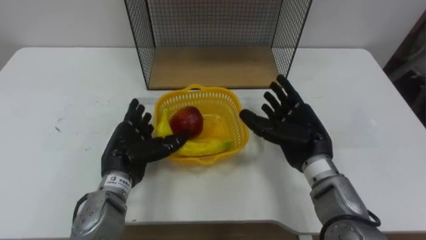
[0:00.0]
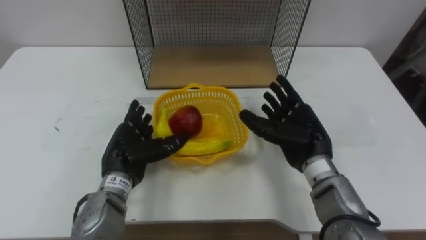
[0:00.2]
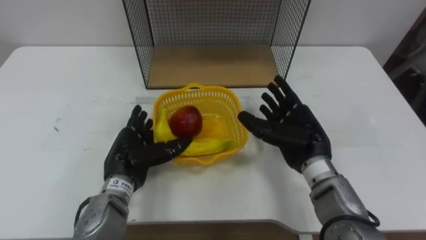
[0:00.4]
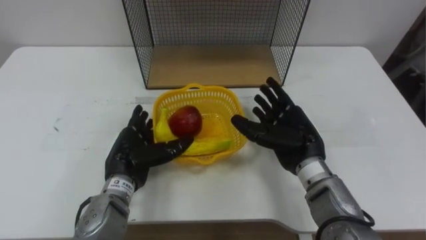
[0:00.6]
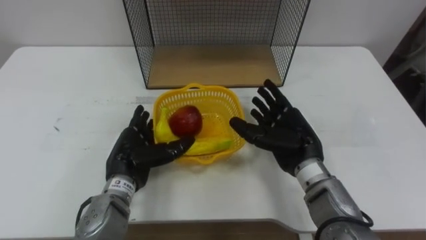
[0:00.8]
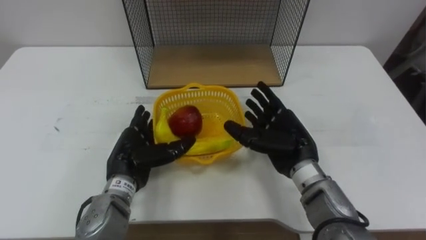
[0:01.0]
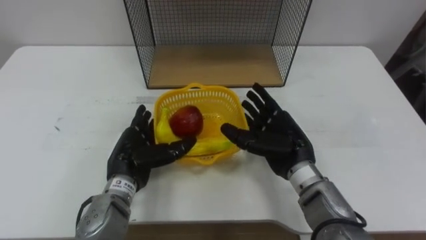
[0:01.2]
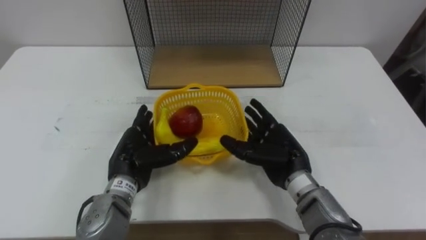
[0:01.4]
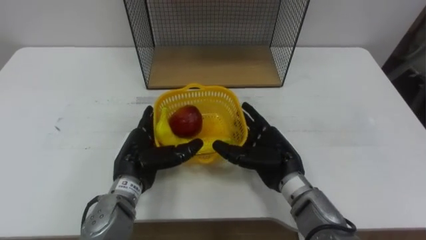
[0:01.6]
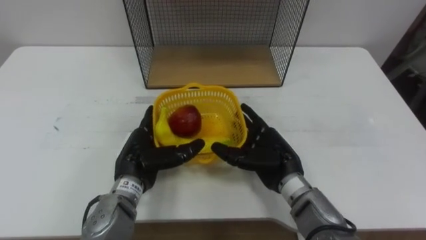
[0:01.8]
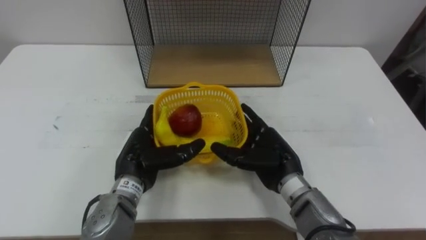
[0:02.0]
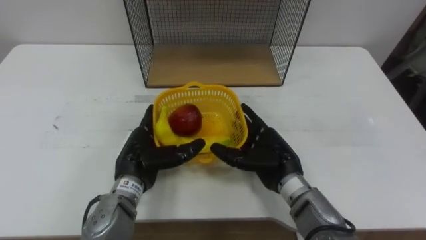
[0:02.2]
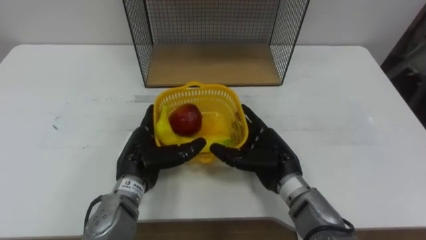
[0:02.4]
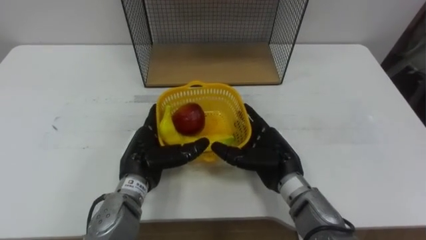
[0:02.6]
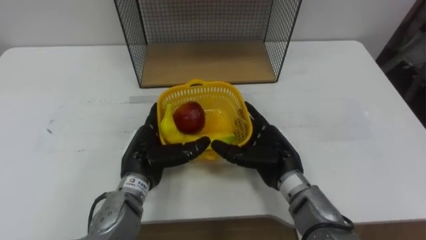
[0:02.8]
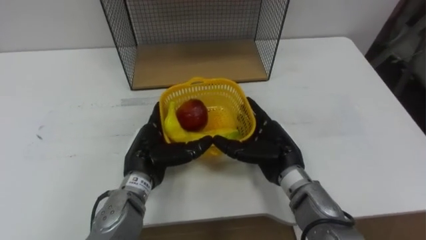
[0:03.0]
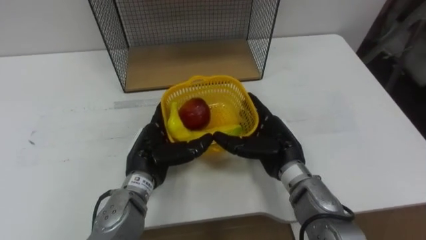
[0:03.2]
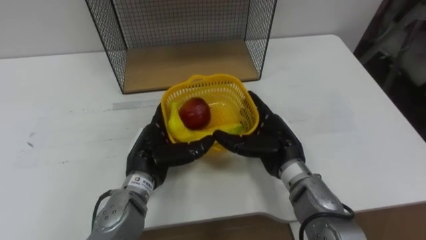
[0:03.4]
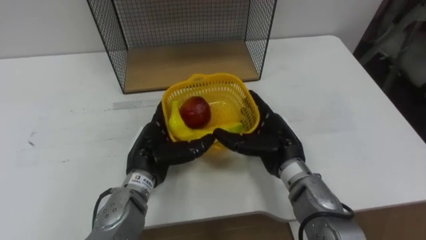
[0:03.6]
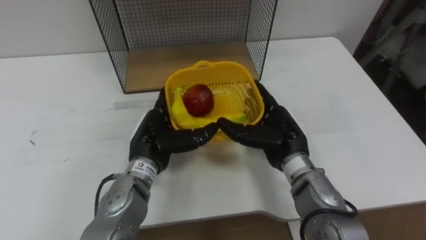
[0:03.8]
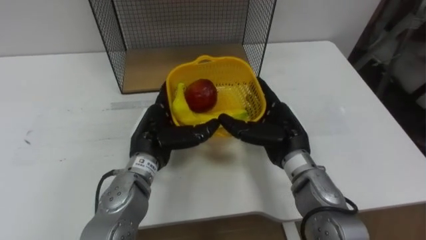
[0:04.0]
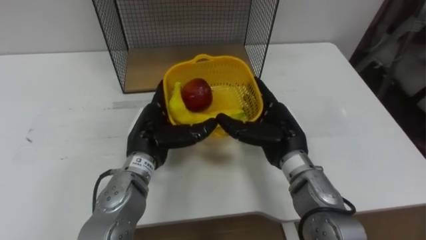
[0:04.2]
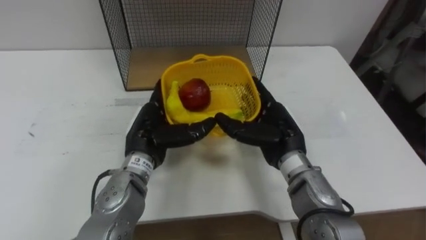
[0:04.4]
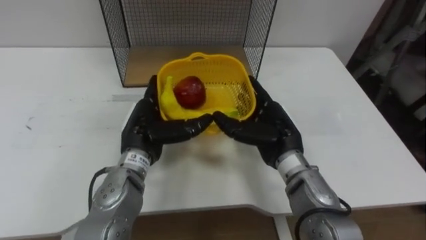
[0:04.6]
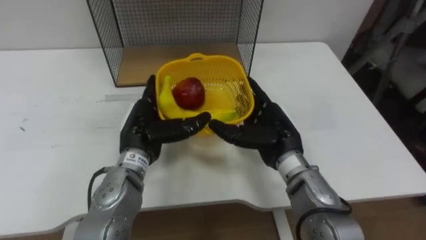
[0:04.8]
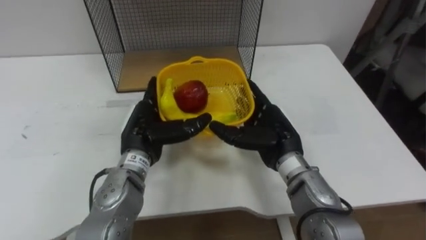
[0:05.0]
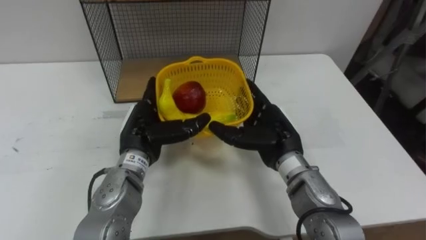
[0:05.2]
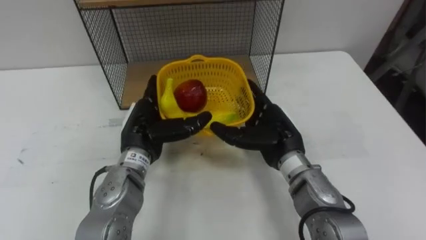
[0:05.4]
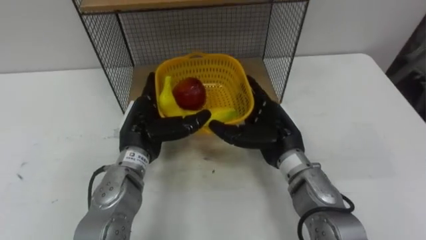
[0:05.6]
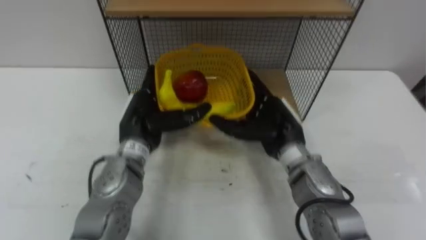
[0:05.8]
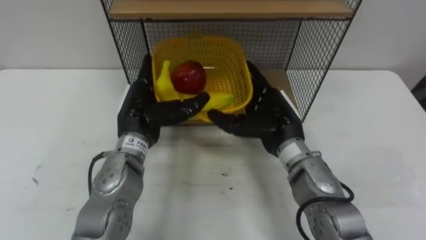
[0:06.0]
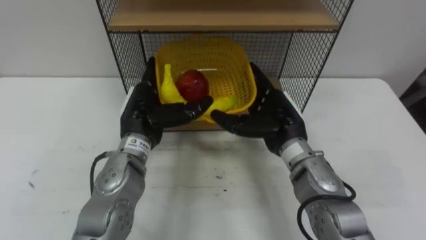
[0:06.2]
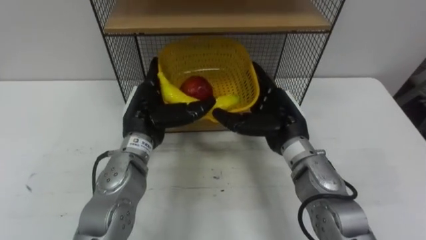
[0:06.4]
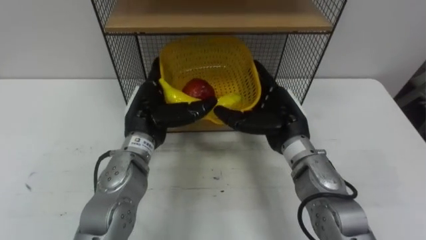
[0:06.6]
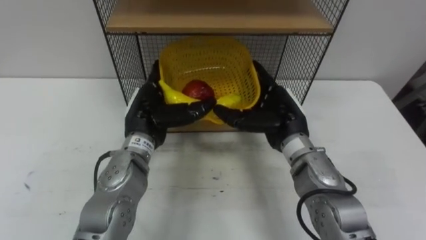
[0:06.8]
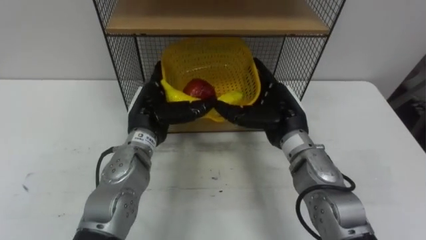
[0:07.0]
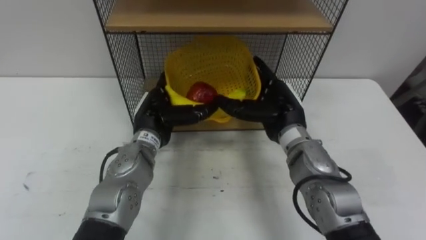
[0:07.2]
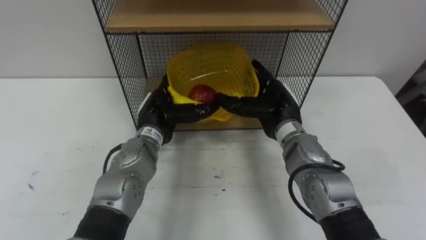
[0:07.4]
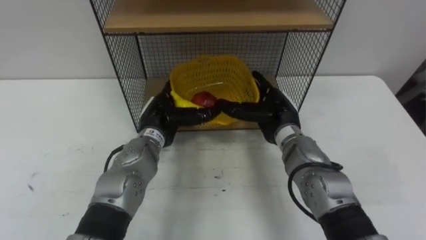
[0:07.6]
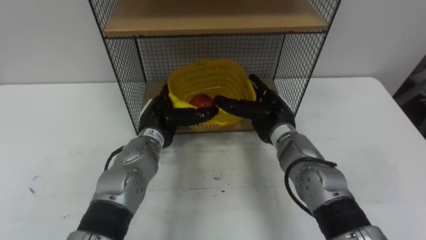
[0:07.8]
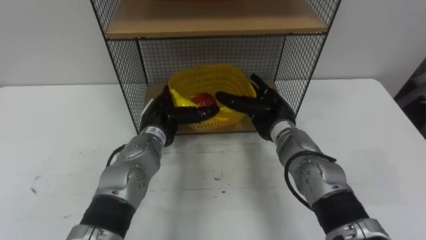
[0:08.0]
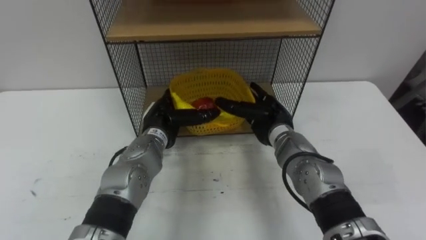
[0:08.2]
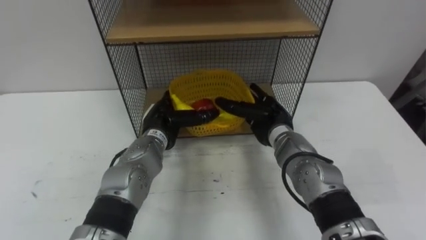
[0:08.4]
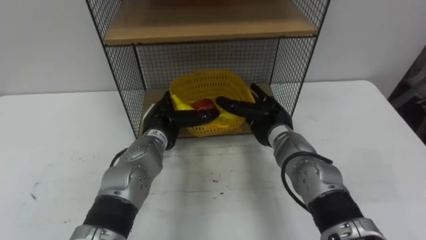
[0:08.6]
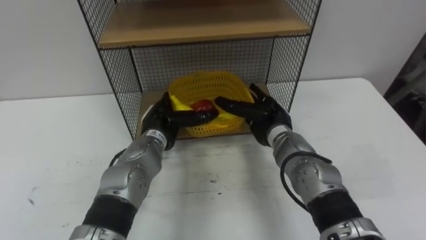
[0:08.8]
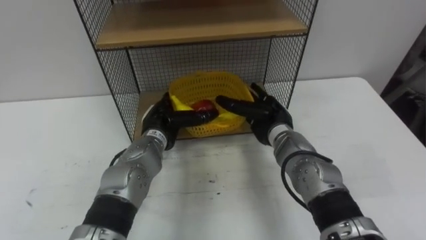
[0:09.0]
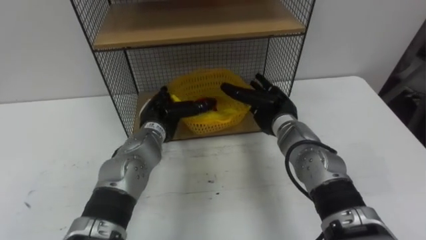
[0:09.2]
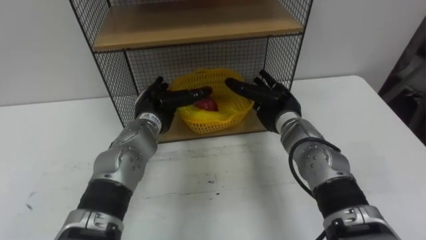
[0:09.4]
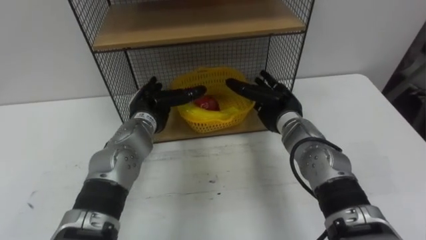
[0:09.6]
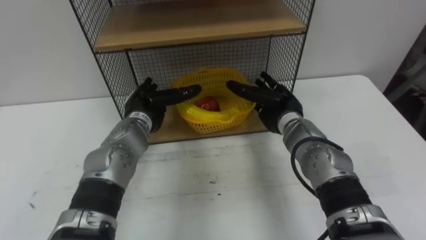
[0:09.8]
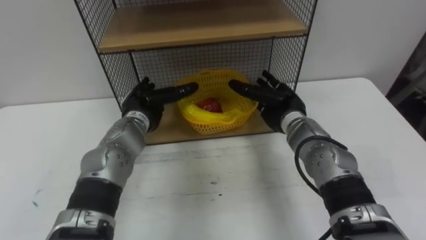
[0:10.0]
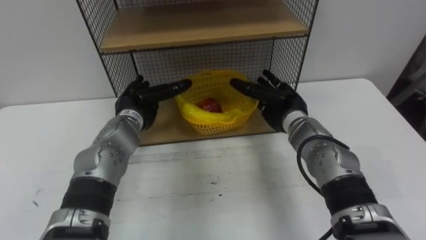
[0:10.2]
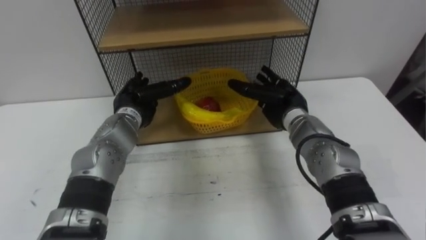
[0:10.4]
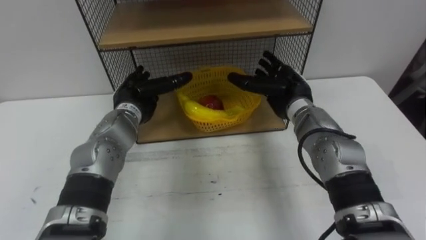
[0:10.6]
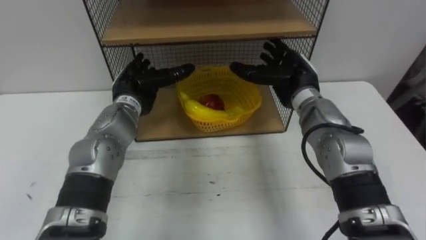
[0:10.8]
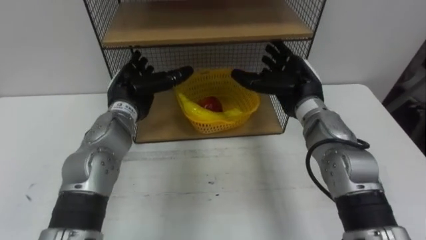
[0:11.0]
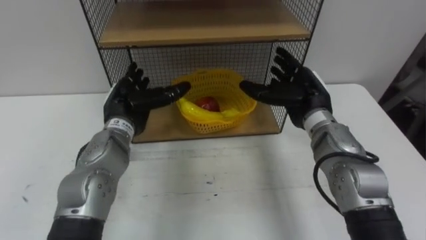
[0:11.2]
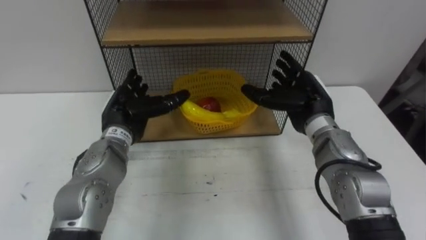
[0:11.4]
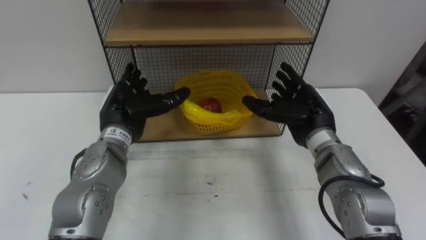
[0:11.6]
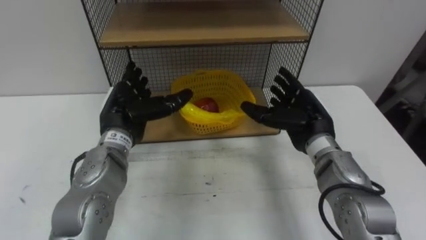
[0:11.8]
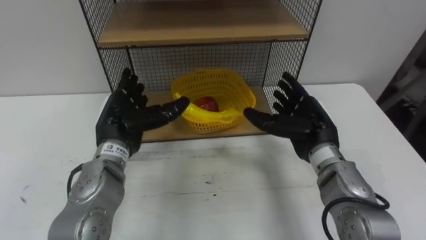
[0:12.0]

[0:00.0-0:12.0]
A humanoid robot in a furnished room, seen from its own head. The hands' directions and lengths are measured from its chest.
Task of the whole recording: Put the fruit on the table into the basket, then place the basket on the shelf.
0:00.0 to 0:01.6: The right hand ends up some 5 cm from where it was.
0:06.0 to 0:07.6: The right hand moves some 5 cm; the left hand shifts about 5 cm downward.
0:09.0 to 0:10.4: The left hand is displaced to the left by approximately 5 cm.
0:10.4 to 0:12.0: The two hands go some 5 cm backward.
